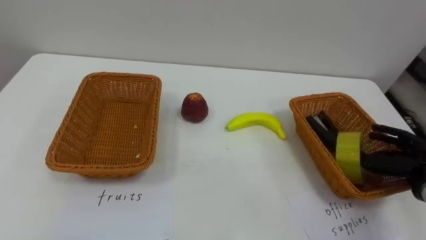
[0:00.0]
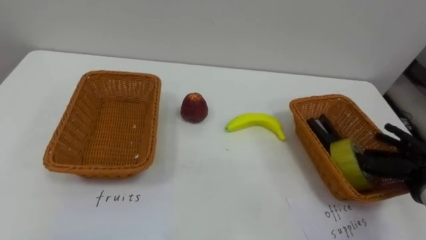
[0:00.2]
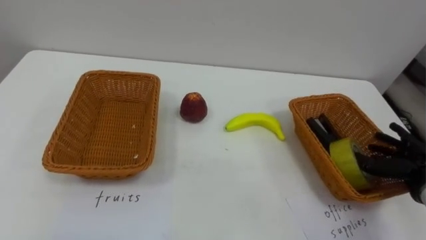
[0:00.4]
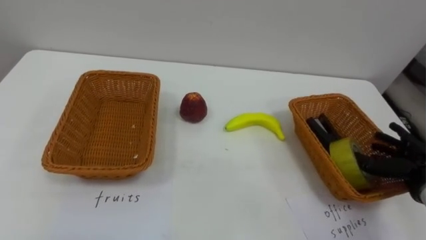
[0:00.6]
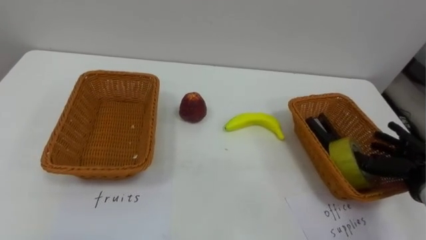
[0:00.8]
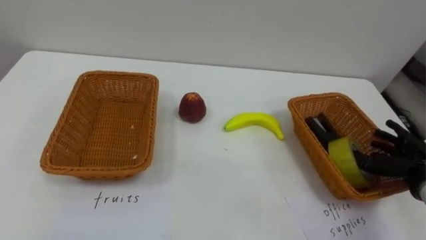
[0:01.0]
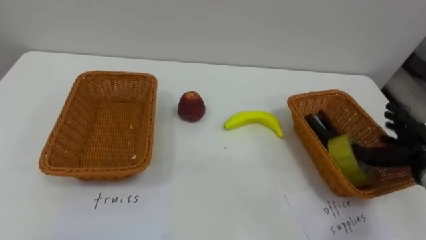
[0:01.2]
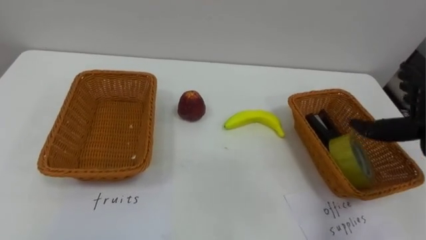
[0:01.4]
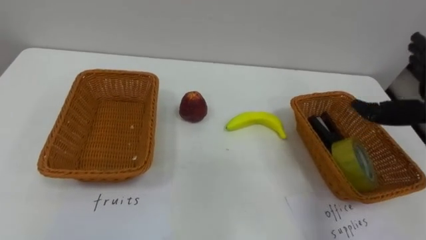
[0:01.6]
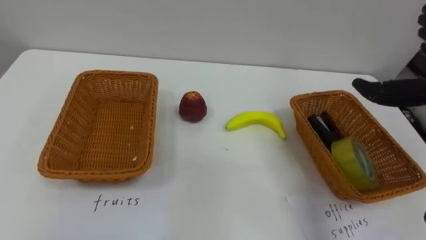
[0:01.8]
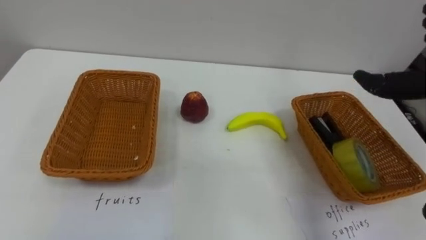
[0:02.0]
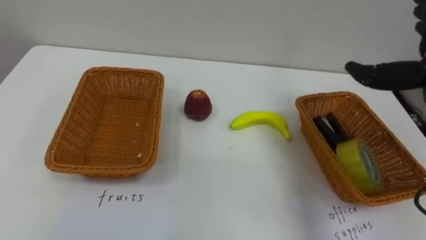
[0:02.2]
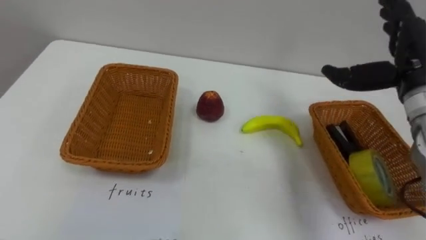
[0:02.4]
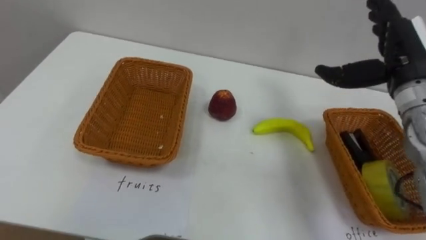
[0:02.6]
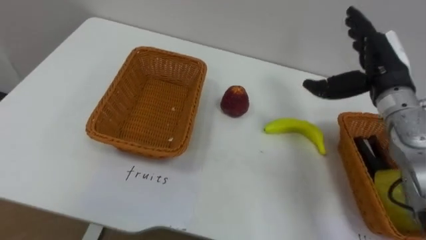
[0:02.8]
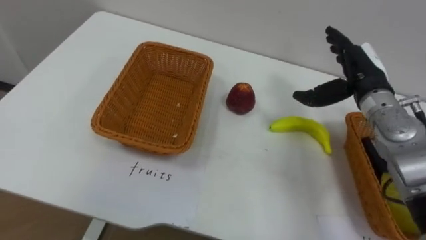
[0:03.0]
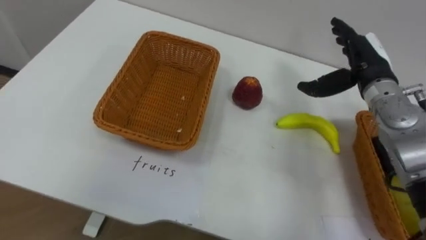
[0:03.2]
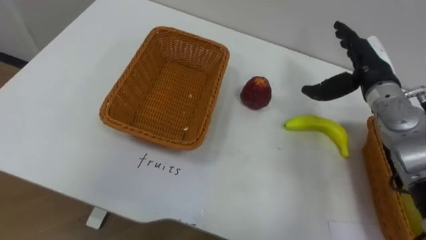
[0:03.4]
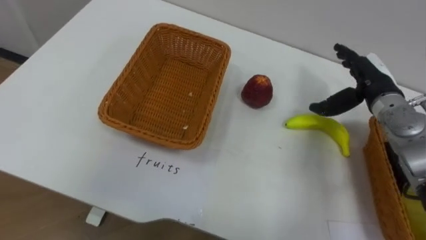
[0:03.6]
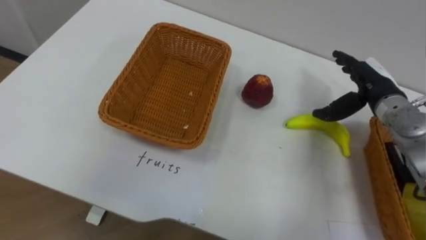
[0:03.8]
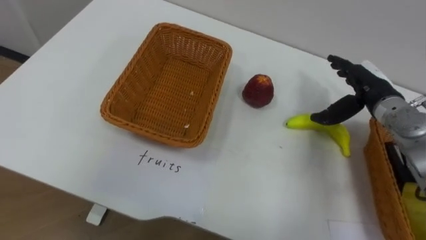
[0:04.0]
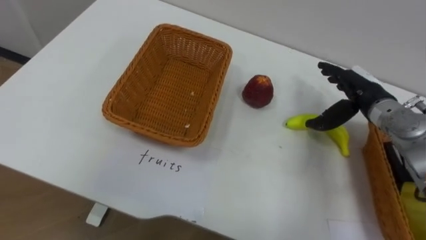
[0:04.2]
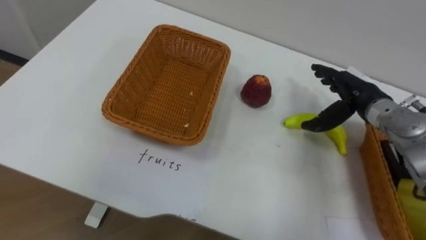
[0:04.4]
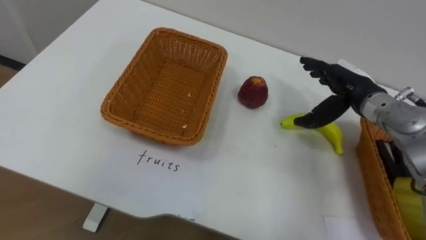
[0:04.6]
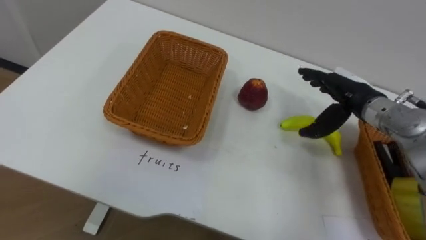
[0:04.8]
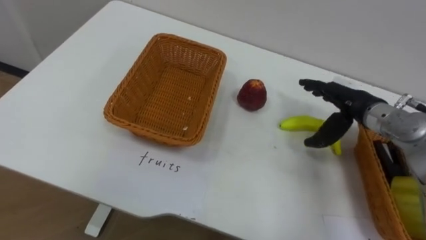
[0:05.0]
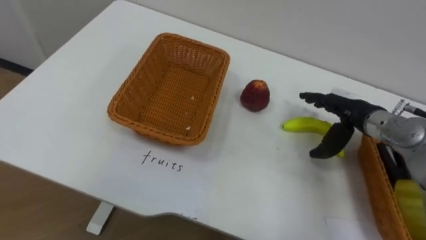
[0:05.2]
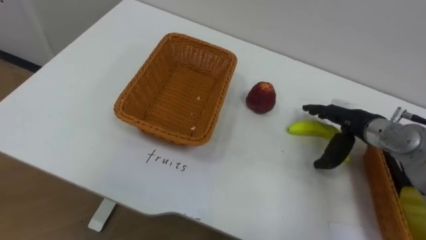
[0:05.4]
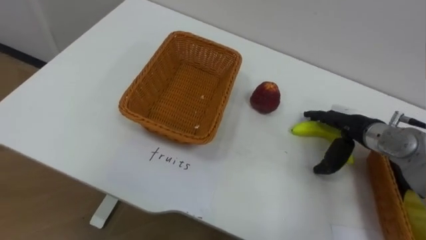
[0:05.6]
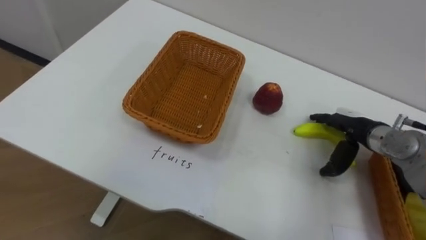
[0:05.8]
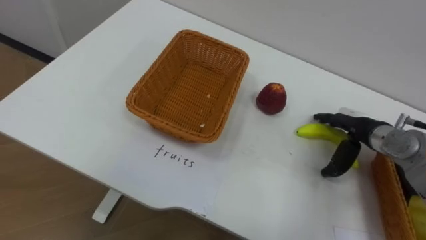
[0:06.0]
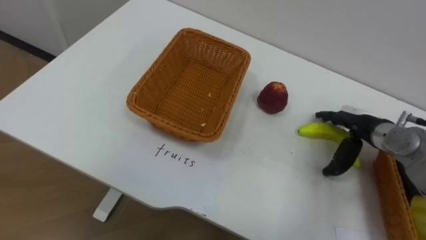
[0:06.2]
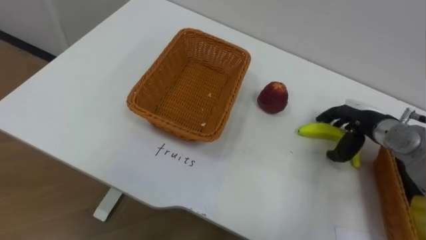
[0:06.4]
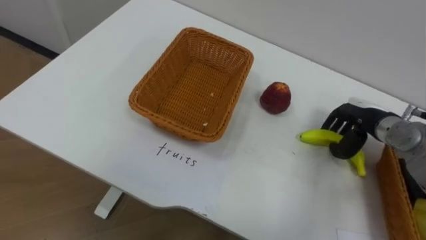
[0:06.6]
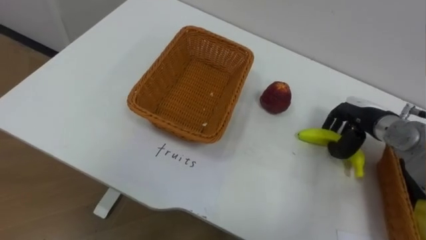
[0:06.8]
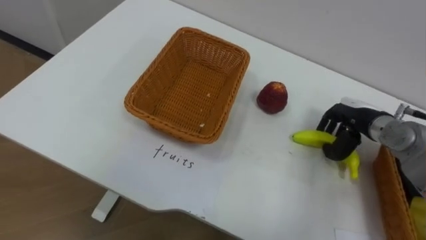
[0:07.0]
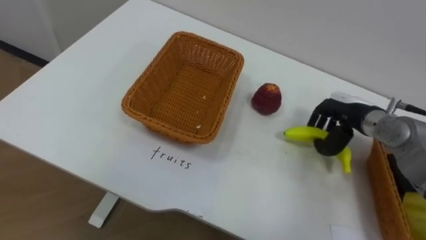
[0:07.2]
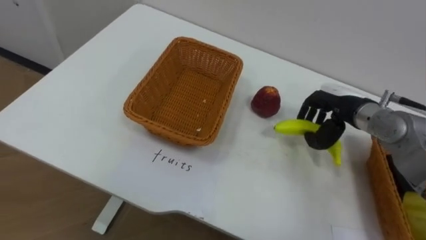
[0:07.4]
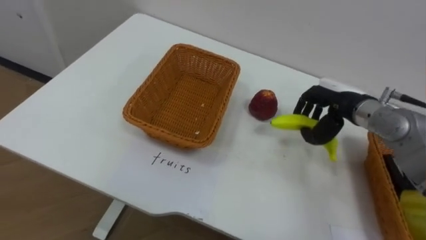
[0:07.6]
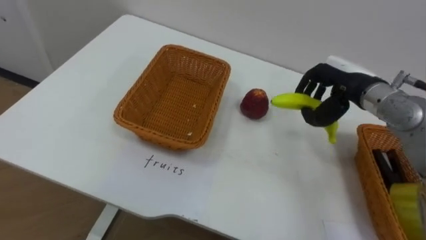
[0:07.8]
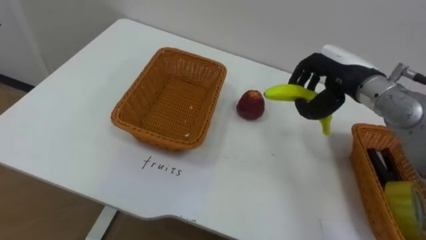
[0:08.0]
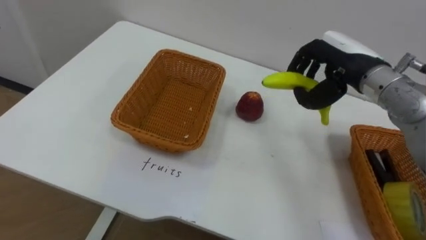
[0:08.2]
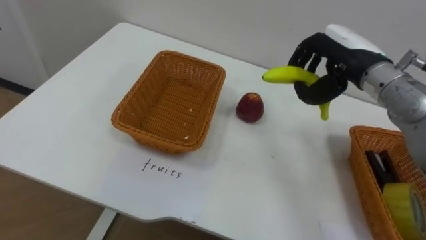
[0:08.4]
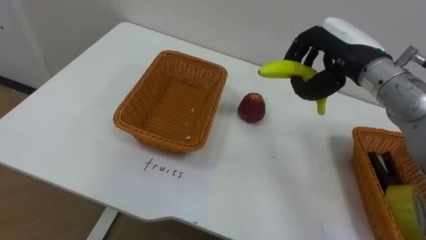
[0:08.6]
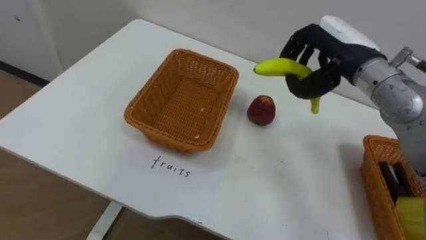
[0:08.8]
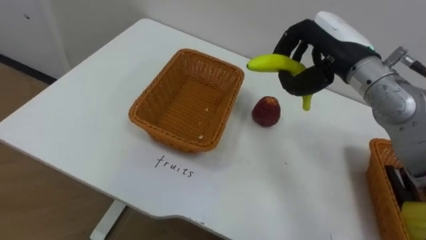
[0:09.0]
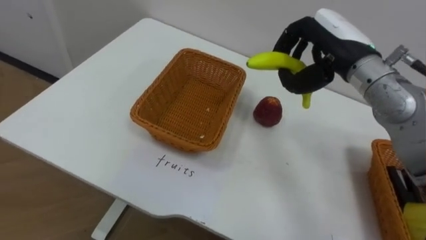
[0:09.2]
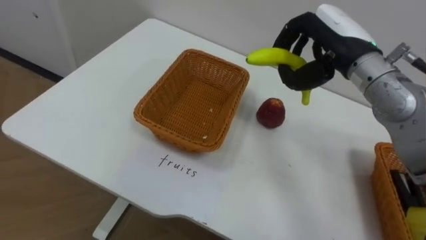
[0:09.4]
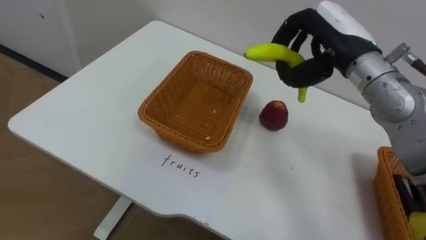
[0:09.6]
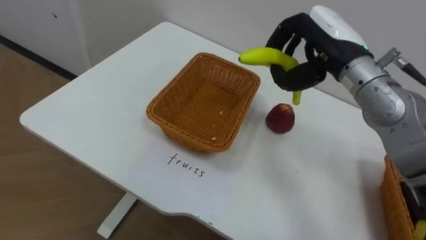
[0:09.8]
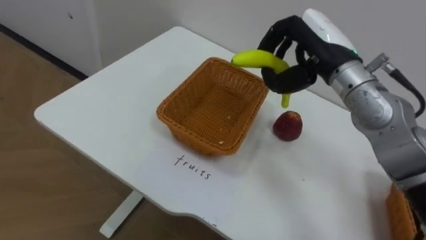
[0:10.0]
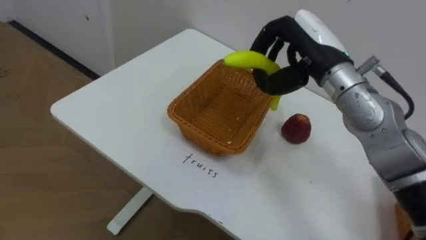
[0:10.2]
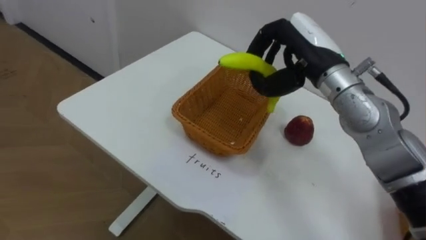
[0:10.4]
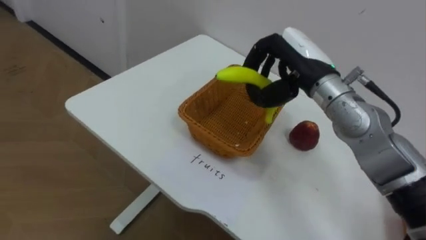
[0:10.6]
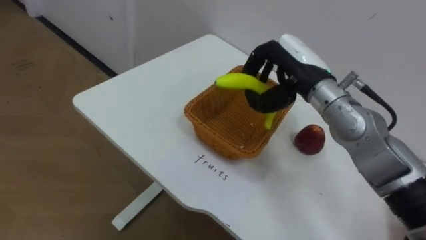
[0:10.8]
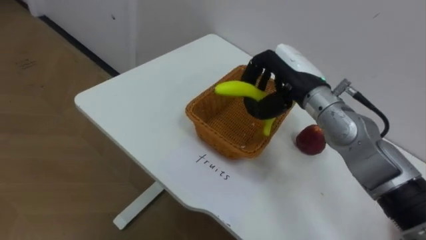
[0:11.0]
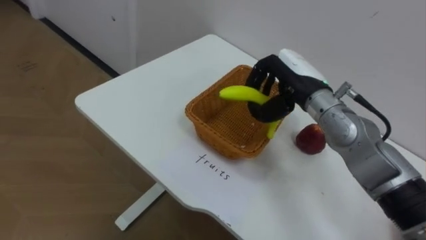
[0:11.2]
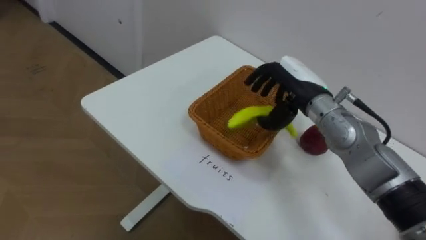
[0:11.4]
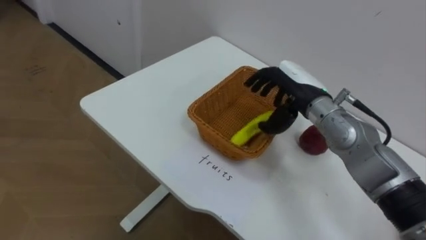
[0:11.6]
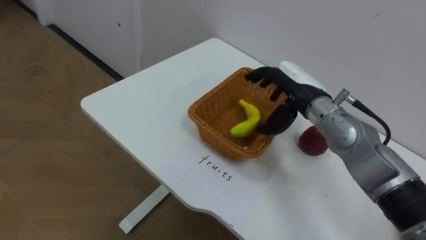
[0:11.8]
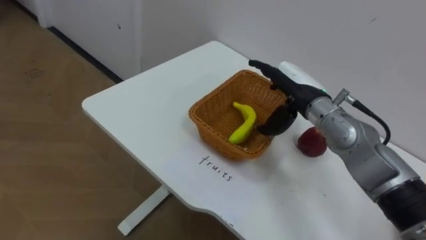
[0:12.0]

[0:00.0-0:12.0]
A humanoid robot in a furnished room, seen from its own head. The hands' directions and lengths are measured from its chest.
Task of the whole recording: Separate the items on the table and place them into the two baskets.
0:04.4 to 0:06.0: The right hand moves downward, roughly 5 cm.
0:06.0 to 0:07.6: The right hand moves upward, about 5 cm, and closes its fingers.
0:07.6 to 0:09.0: The right hand moves upward, about 10 cm.
0:10.4 to 0:12.0: The right hand goes about 10 cm downward, and opens its fingers.

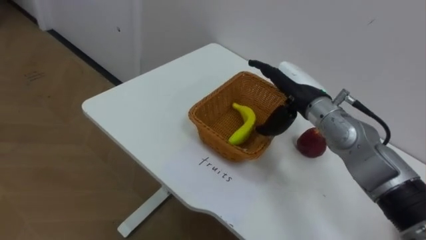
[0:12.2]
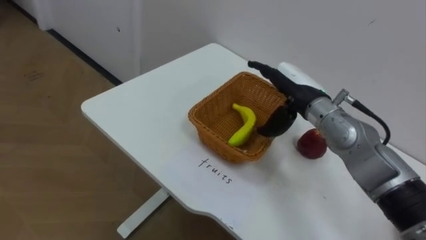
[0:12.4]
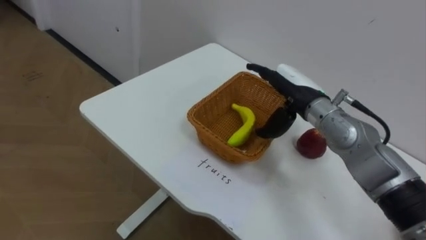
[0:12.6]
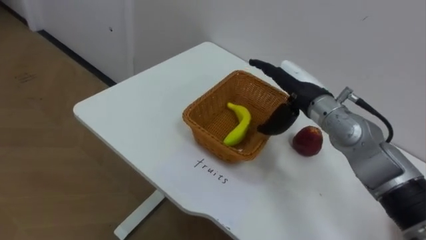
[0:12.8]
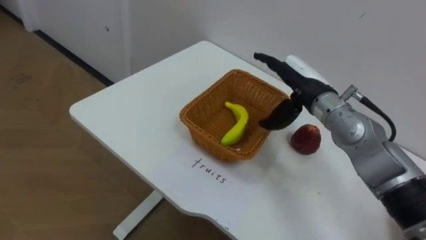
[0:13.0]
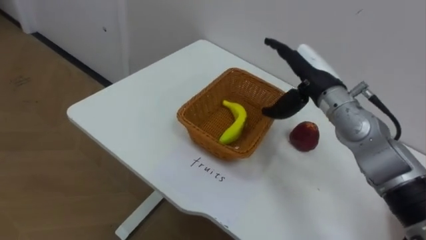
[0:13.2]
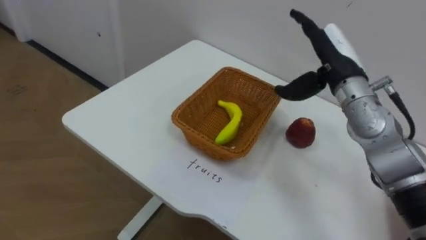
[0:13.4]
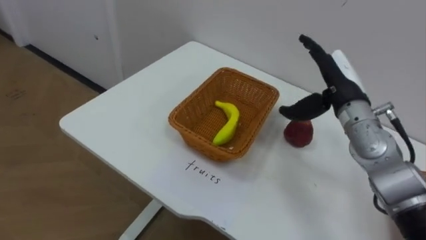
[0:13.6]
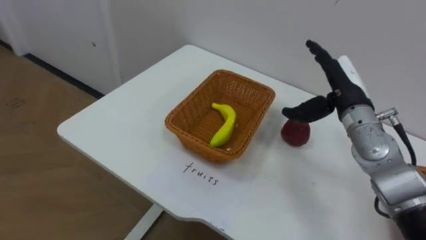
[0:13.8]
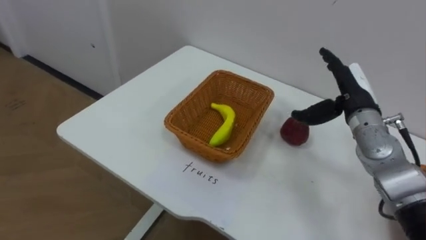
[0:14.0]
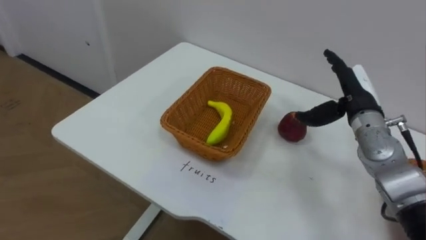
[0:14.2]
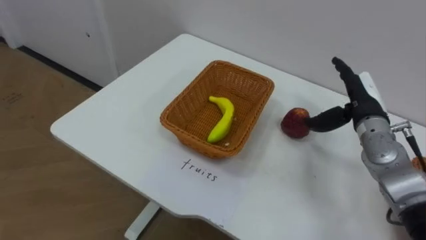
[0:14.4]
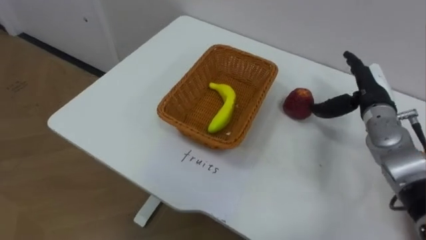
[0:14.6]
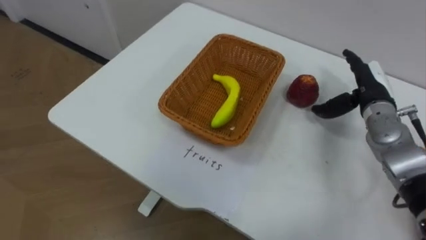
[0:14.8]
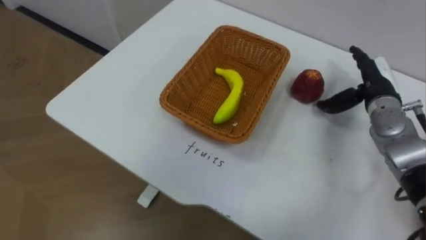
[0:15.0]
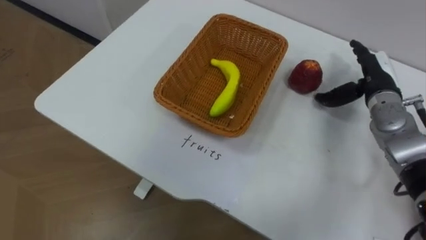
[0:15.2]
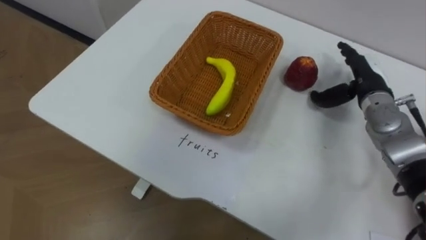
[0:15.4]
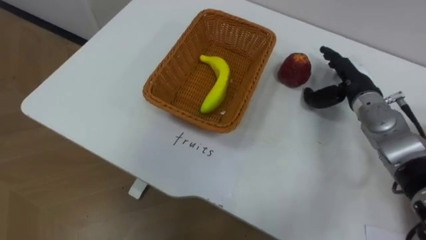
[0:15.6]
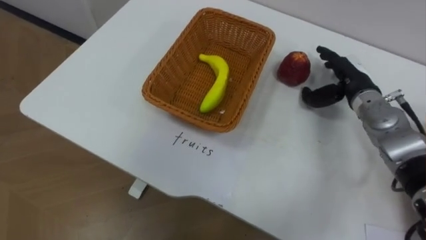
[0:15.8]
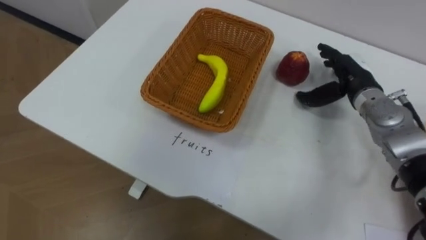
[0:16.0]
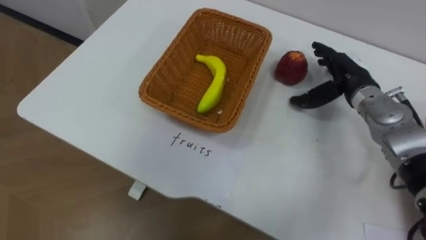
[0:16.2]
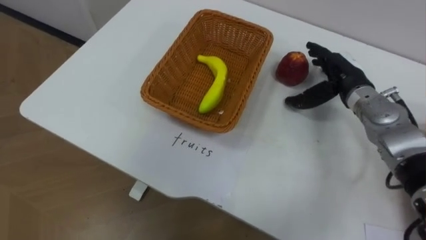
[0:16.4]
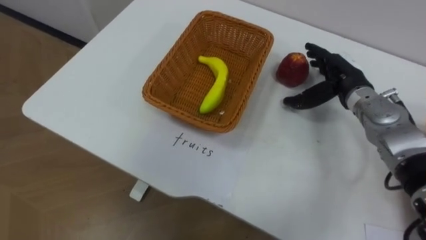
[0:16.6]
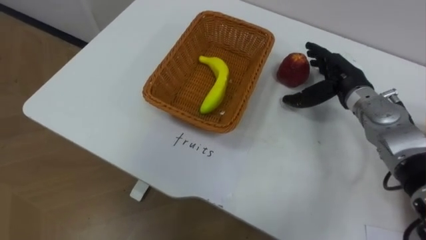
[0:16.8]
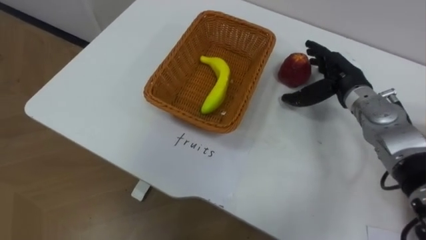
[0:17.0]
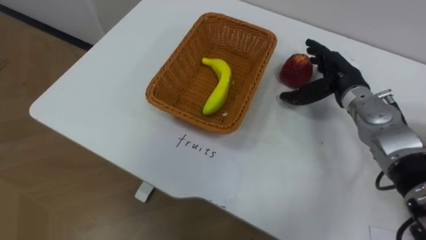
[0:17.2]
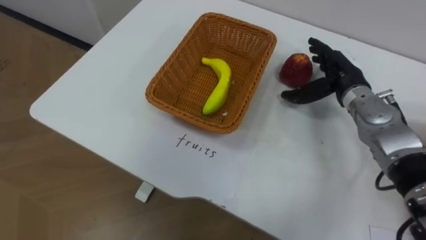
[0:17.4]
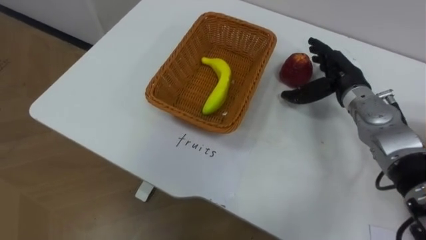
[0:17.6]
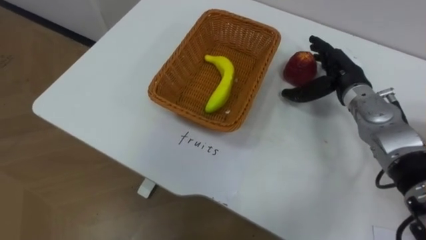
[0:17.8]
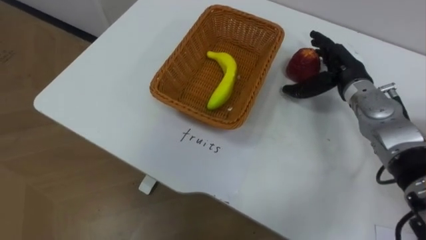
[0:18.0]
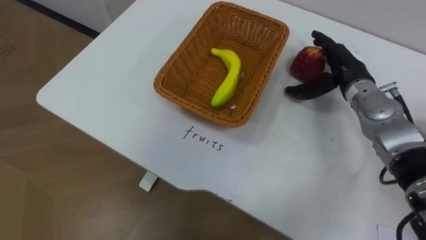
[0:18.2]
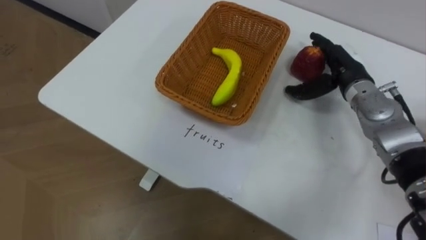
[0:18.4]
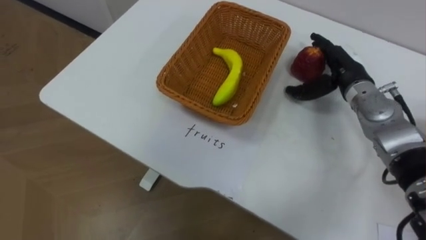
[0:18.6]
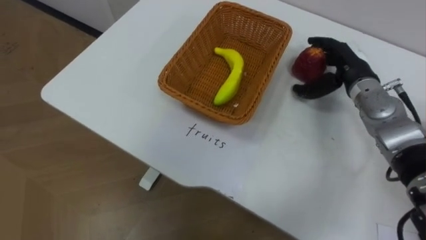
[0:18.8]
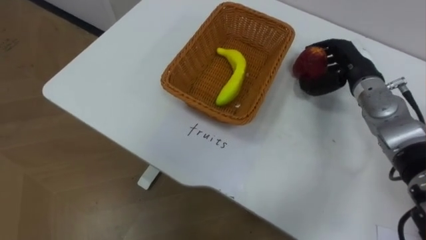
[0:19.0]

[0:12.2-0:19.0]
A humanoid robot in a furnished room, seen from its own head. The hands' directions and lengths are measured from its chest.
Task of the whole recording: Separate the items on the table and place them into the two baskets.
0:12.2 to 0:13.6: The right hand shifts approximately 5 cm to the right.
0:13.6 to 0:15.0: The right hand is displaced to the right by approximately 10 cm.
0:15.0 to 0:16.2: The right hand is displaced to the left by some 5 cm.
0:17.6 to 0:19.0: The right hand closes.
